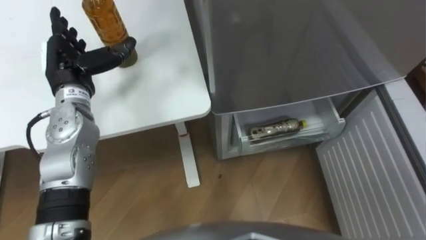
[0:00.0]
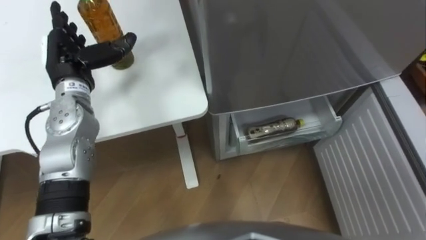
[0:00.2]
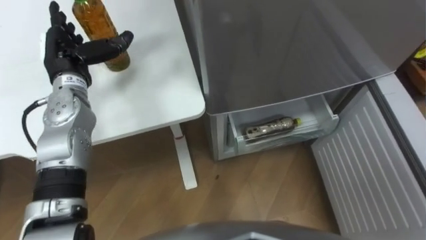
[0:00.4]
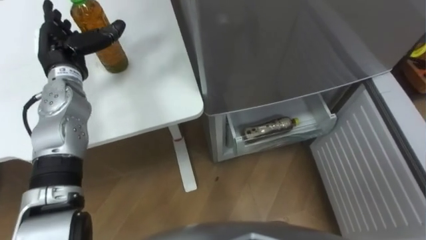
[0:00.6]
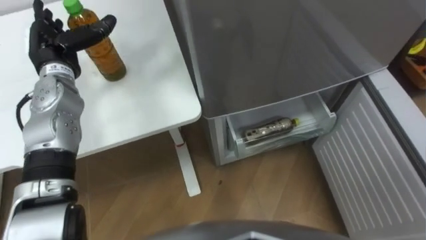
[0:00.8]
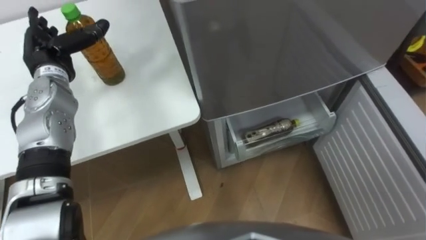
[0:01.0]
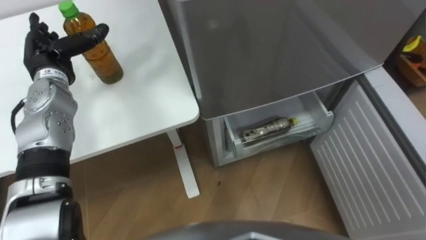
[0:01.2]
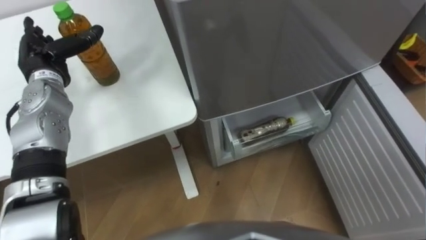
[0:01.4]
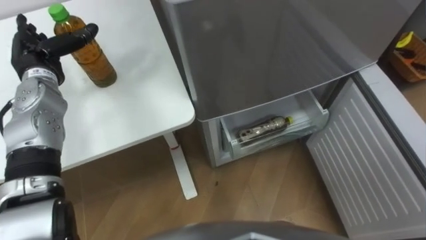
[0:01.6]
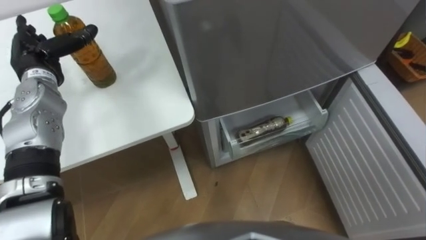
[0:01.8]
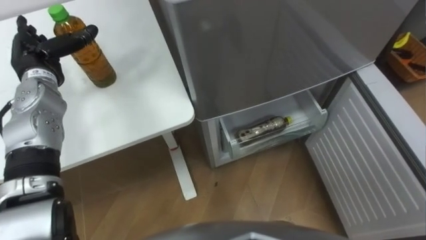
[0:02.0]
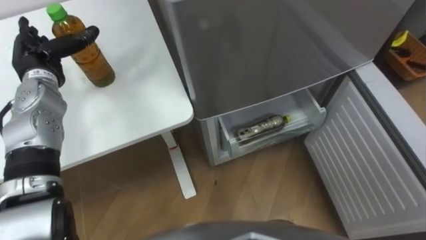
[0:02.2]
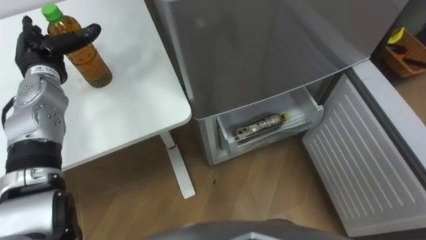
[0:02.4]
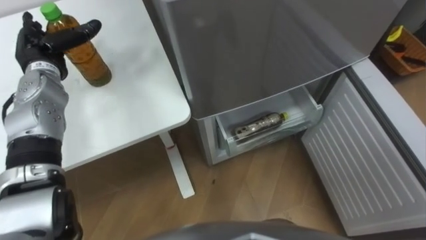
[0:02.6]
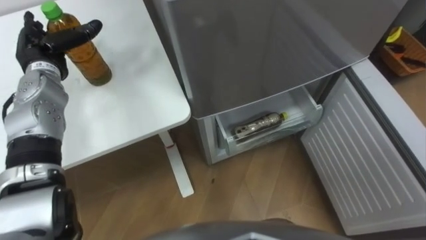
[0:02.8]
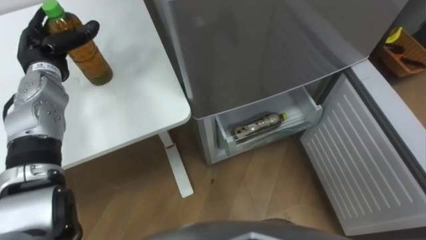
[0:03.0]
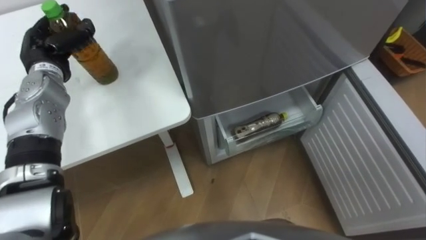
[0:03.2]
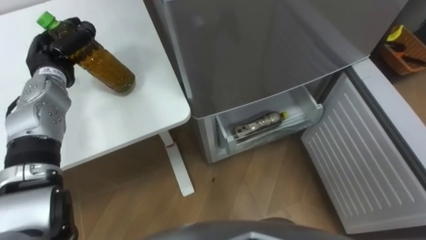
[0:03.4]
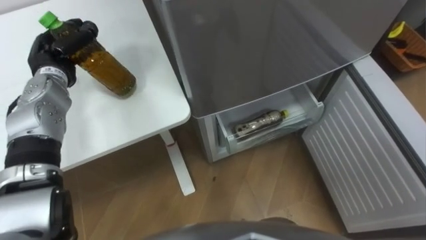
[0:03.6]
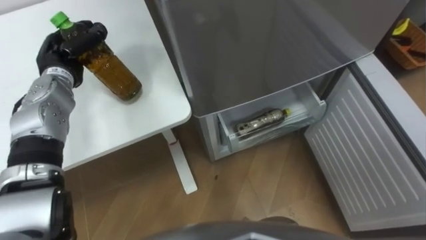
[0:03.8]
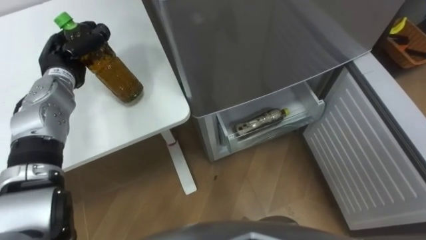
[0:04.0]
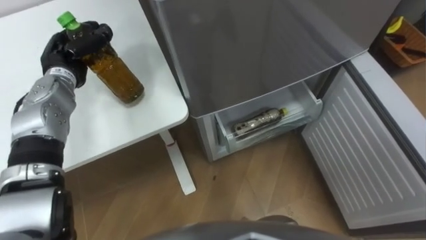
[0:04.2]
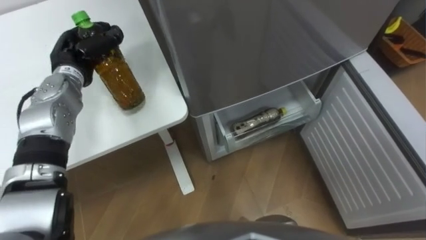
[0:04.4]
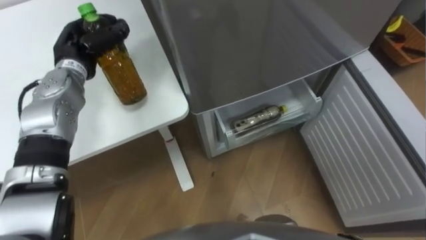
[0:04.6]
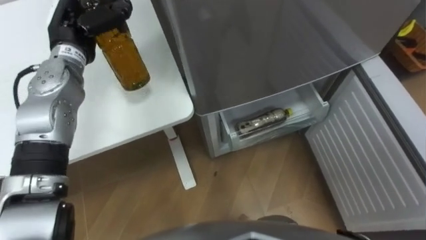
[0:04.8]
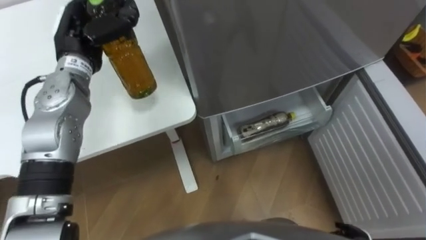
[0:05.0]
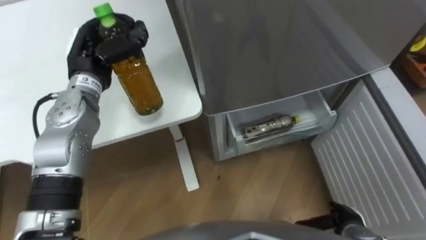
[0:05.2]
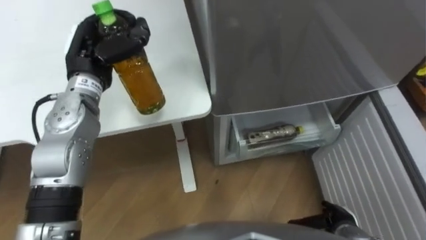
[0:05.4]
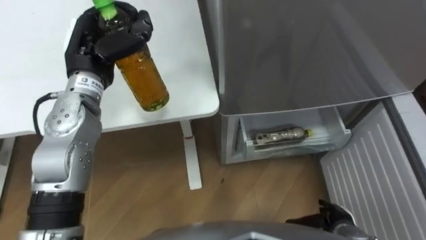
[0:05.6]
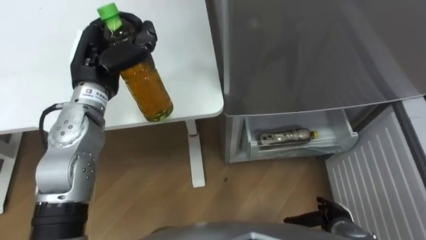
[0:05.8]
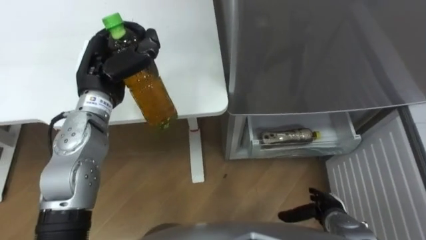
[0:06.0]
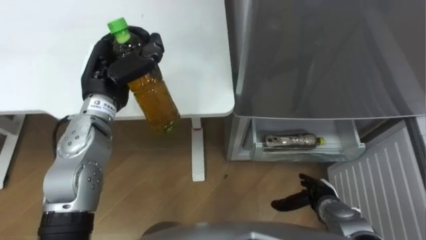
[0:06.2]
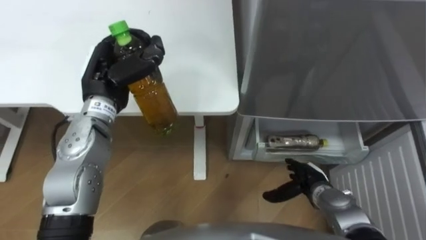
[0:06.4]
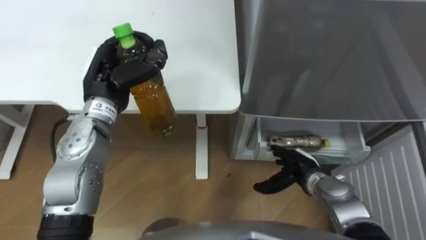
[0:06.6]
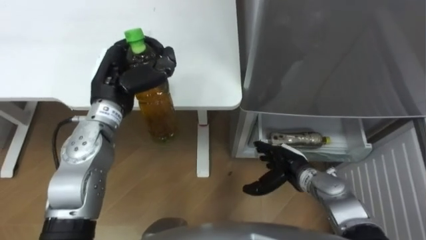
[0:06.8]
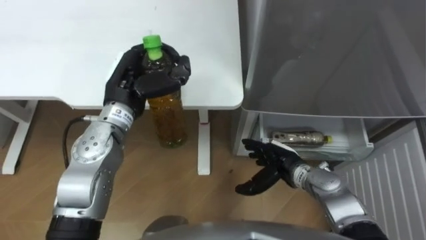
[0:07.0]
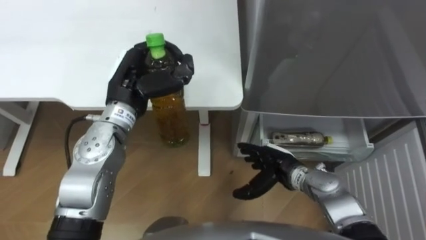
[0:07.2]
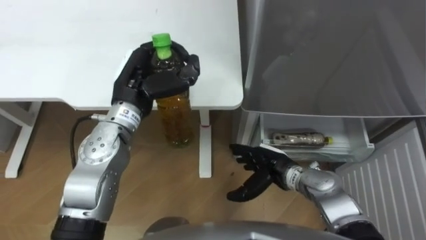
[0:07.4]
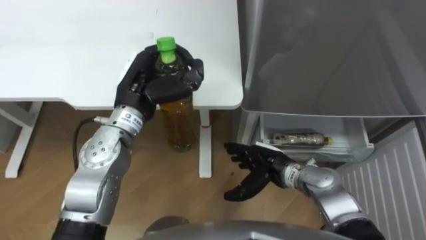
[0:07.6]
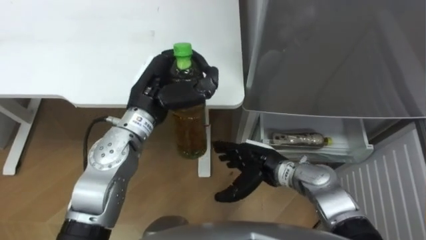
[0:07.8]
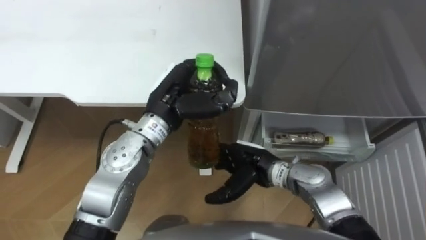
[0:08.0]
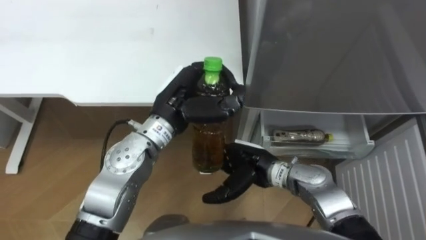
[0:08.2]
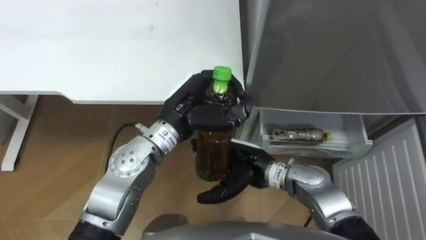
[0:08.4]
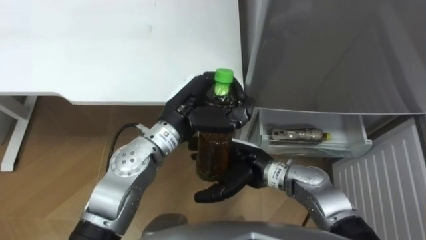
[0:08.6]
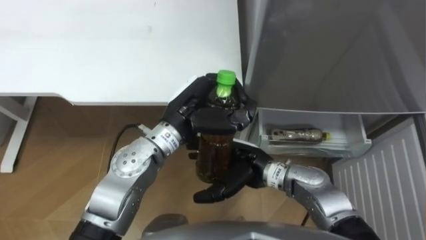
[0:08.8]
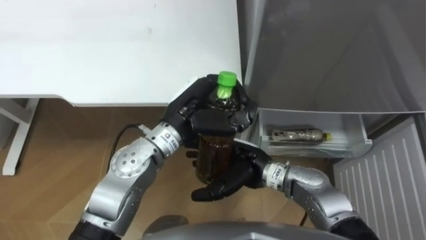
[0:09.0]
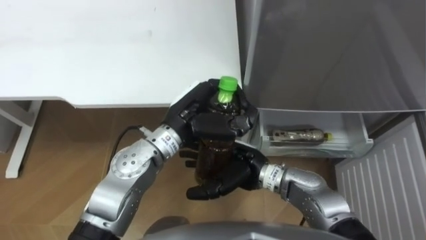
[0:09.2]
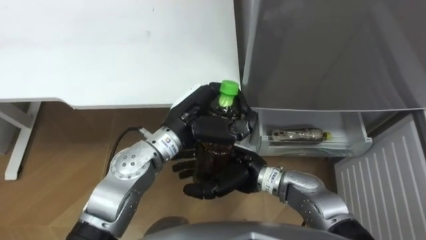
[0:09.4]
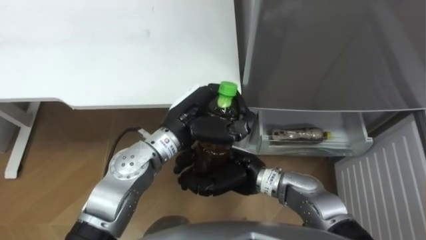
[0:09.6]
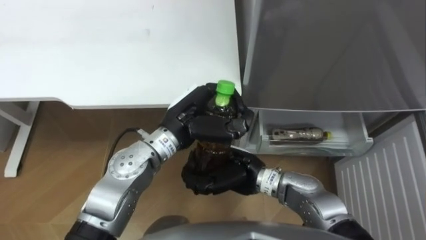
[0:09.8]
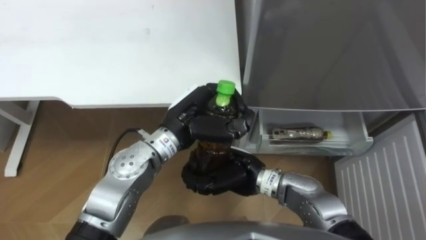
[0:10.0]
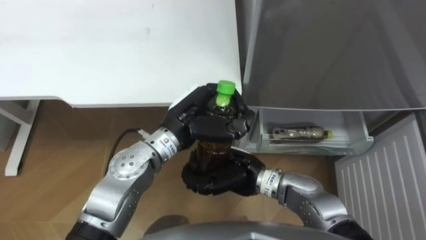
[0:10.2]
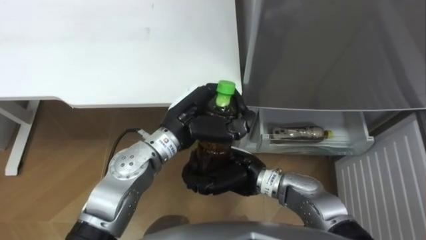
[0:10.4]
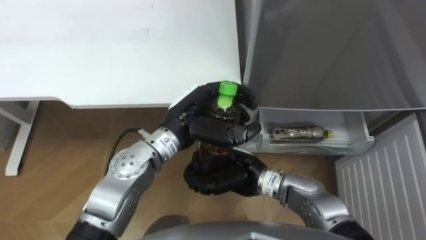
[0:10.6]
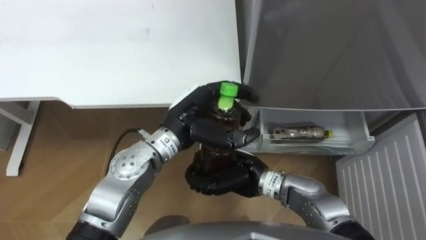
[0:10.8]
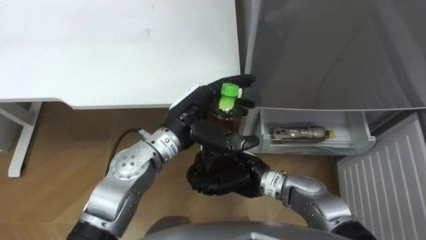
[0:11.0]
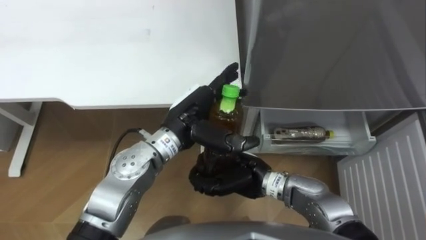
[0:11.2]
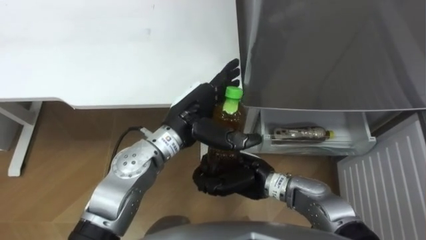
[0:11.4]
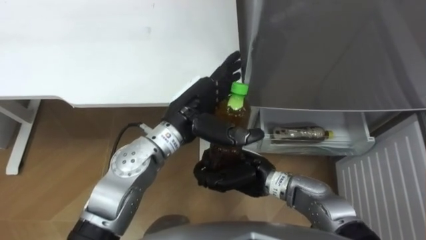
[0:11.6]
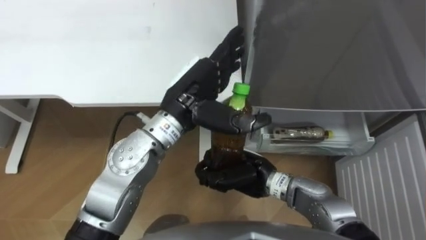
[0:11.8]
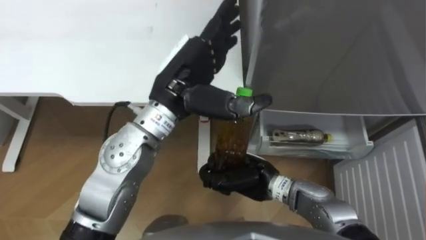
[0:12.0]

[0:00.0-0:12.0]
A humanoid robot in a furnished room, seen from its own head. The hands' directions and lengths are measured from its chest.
Task of the whole recording: Place the drink on the table on the bottom shelf of the refrigerator, then close the drawer and the refrigerator door.
0.0 to 1.6 s: The left hand is displaced to the left by some 5 cm.
3.0 to 4.4 s: The left hand closes up.
4.4 to 6.0 s: The left hand heads to the right, backward and upward, covering roughly 10 cm.
6.0 to 7.6 s: The left hand goes approximately 5 cm to the right. The right hand shifts approximately 20 cm to the left, forward and upward.
7.6 to 9.0 s: The right hand moves to the left, roughly 5 cm, while the left hand travels to the right by some 10 cm.
9.0 to 10.4 s: The right hand closes its fingers.
10.4 to 12.0 s: The left hand is displaced upward by about 10 cm, and opens.

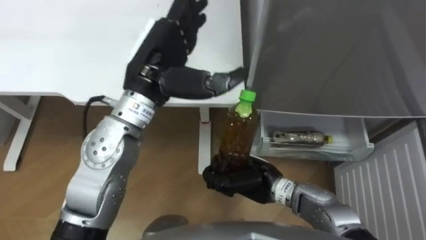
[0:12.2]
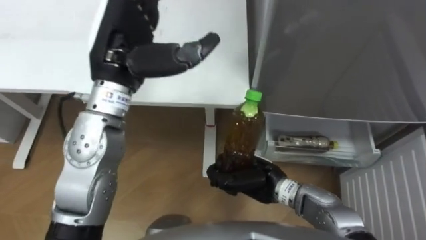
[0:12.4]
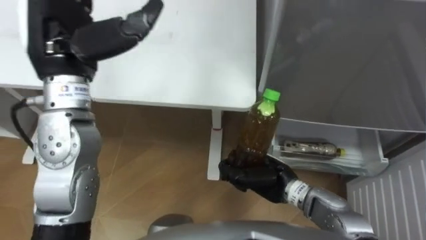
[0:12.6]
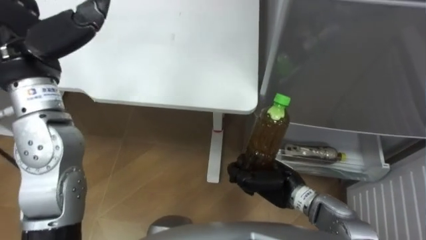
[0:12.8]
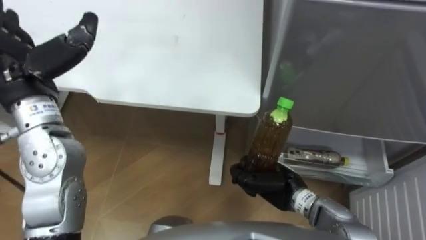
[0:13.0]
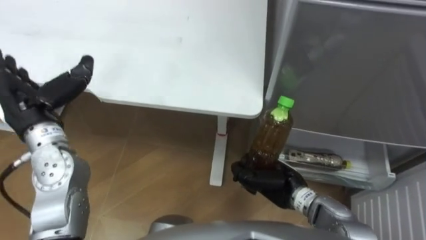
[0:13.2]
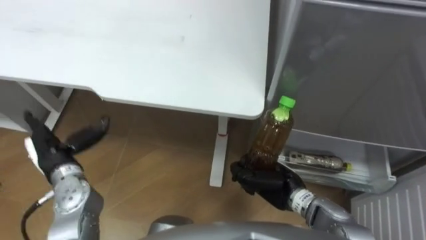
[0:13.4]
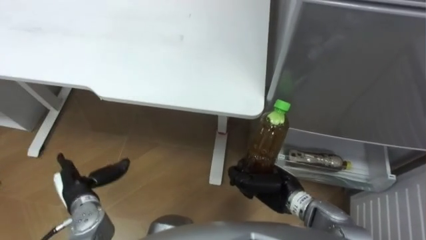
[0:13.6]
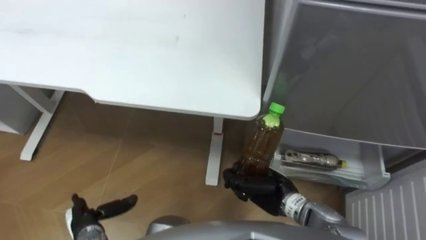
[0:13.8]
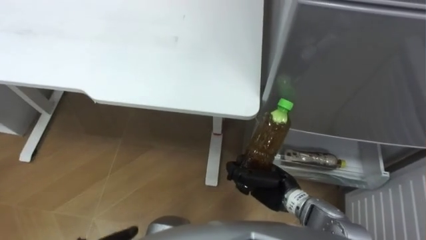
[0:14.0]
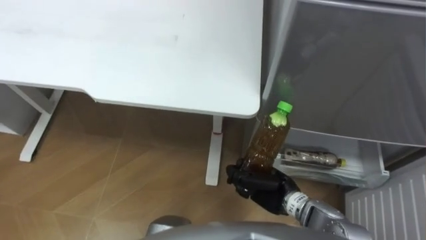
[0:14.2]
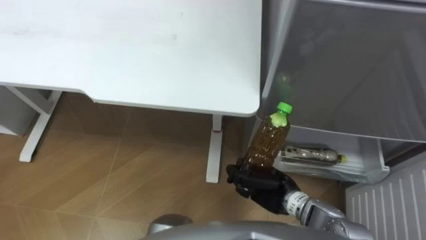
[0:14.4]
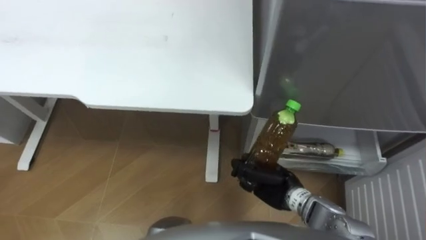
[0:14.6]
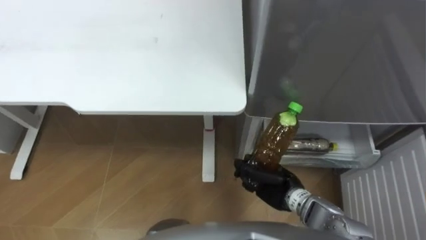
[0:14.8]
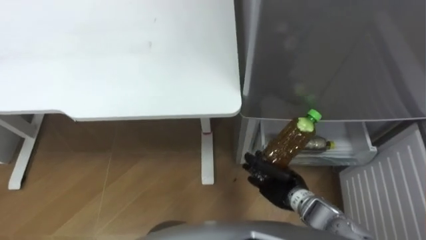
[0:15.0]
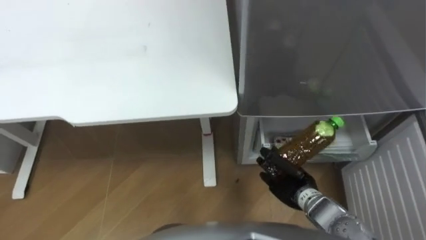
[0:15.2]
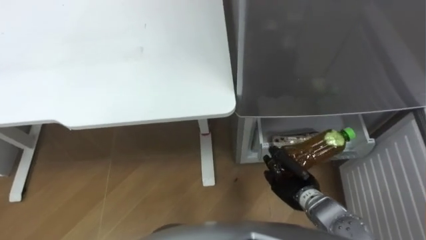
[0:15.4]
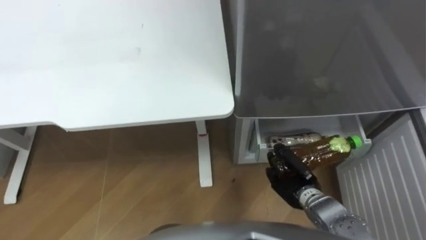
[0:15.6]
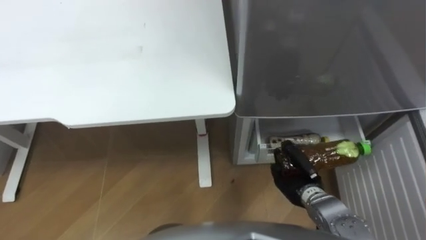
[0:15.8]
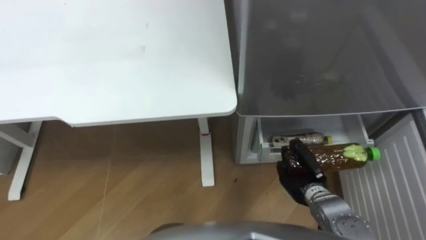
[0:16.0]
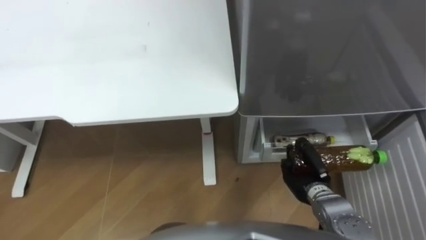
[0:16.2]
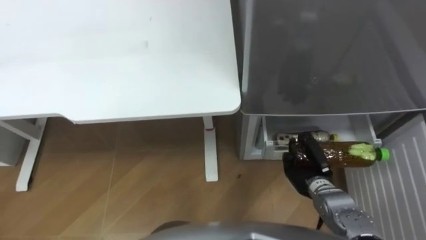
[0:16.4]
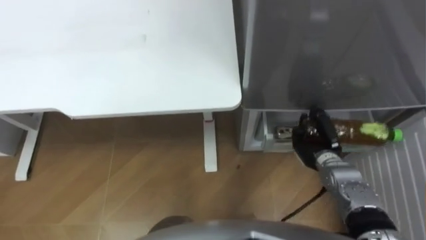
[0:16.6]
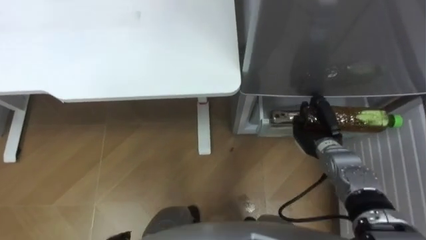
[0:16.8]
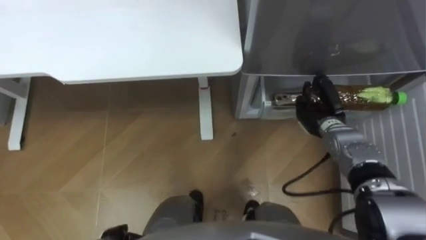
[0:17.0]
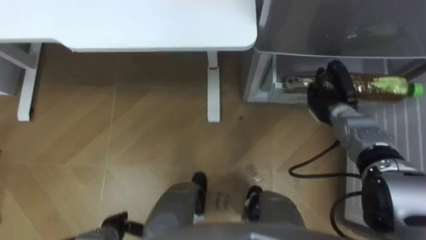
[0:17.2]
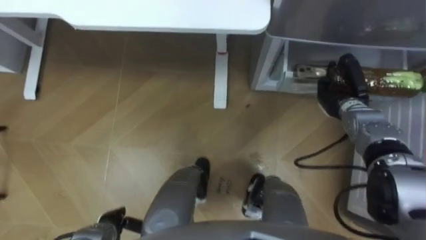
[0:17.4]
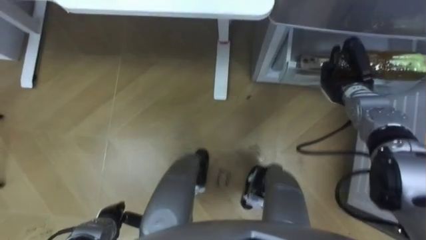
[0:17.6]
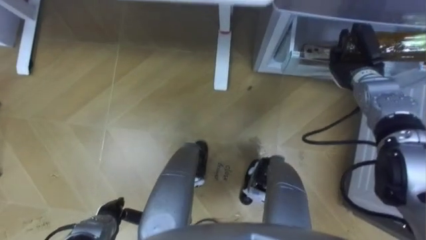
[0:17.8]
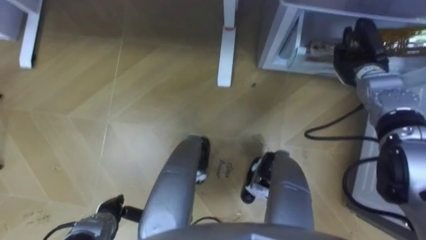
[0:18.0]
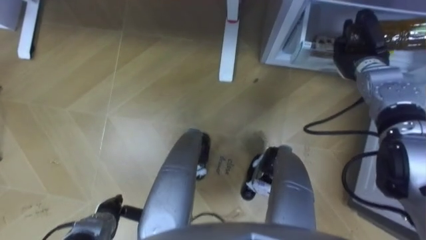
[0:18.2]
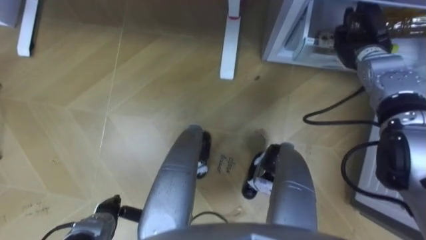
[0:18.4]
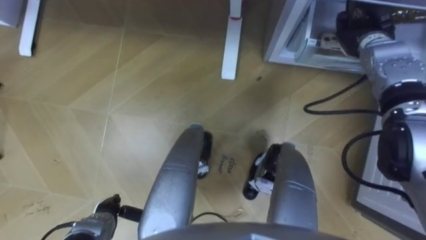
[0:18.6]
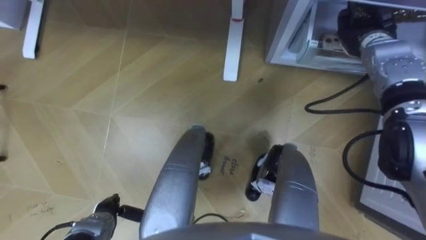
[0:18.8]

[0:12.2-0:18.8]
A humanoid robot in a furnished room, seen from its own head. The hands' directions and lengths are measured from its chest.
Task of the whole recording: Place the drink on the table on the bottom shelf of the refrigerator, then close the drawer and the refrigerator door.
12.2 to 13.8 s: The left hand heads downward, to the left and backward, covering about 40 cm; the right hand shifts by roughly 5 cm.
13.8 to 15.4 s: The right hand travels to the right by approximately 5 cm.
15.4 to 17.2 s: The right hand shifts approximately 20 cm forward, to the right and upward.
17.2 to 18.8 s: The right hand heads upward and forward, covering approximately 15 cm.
